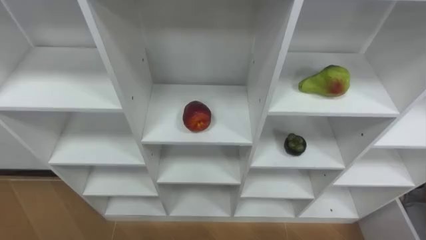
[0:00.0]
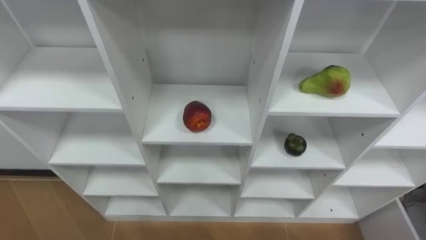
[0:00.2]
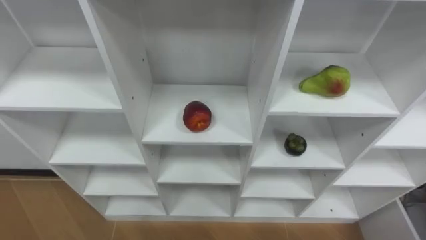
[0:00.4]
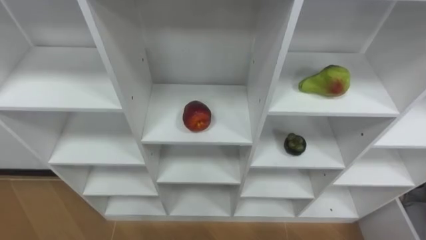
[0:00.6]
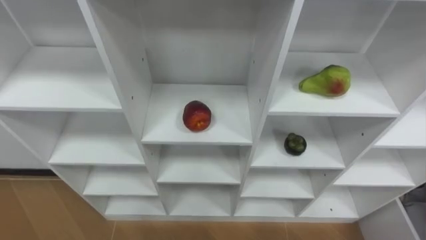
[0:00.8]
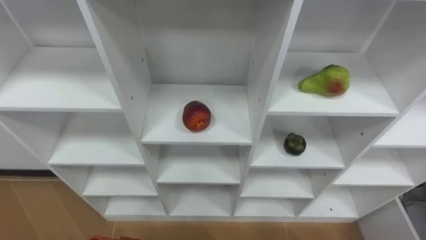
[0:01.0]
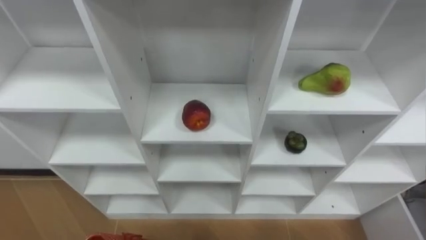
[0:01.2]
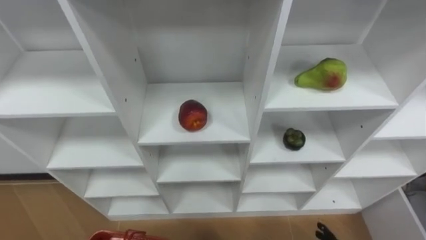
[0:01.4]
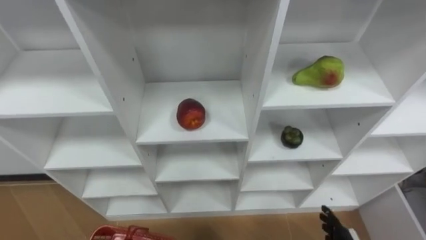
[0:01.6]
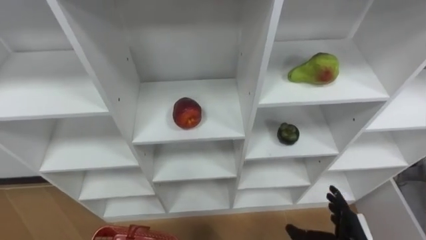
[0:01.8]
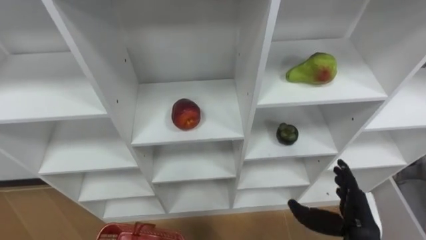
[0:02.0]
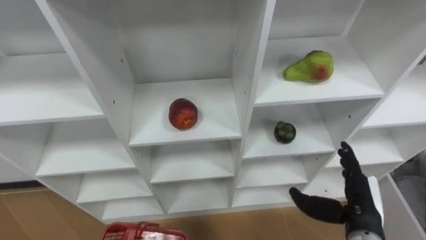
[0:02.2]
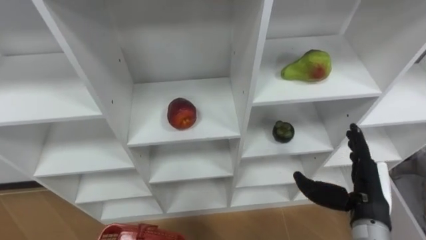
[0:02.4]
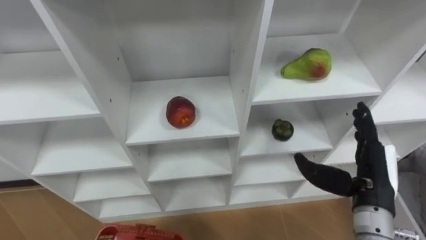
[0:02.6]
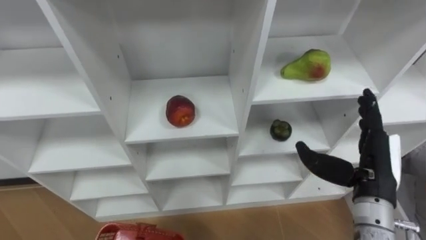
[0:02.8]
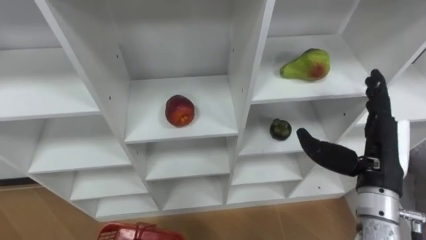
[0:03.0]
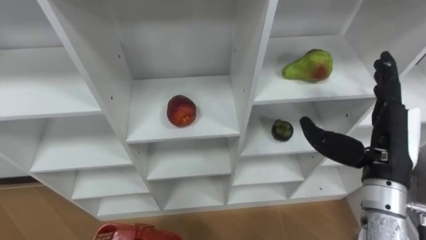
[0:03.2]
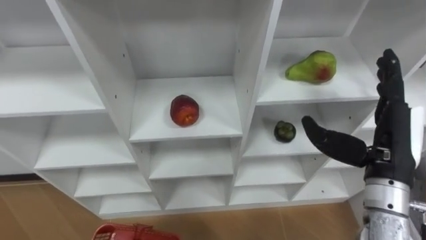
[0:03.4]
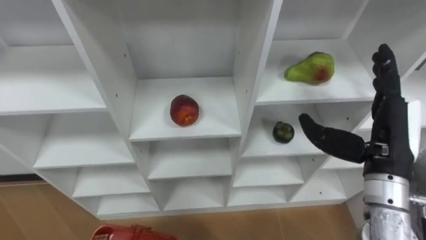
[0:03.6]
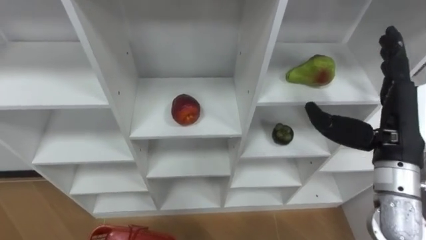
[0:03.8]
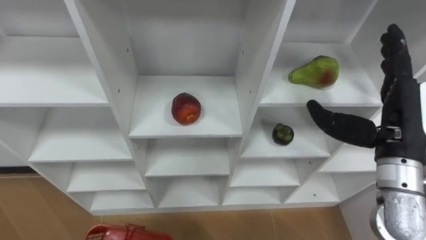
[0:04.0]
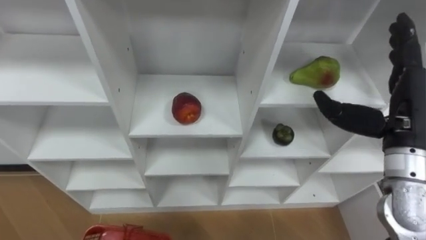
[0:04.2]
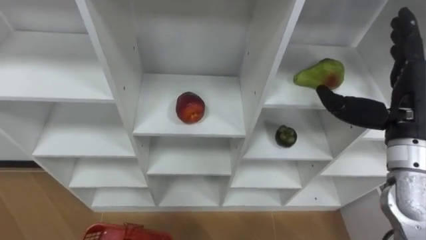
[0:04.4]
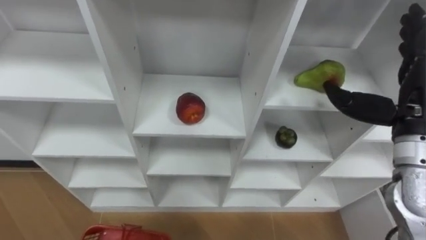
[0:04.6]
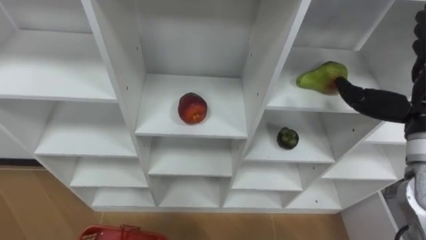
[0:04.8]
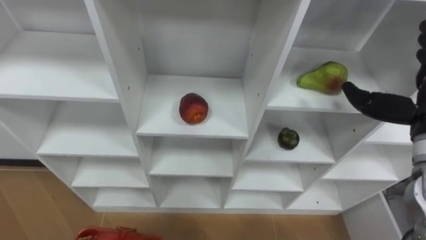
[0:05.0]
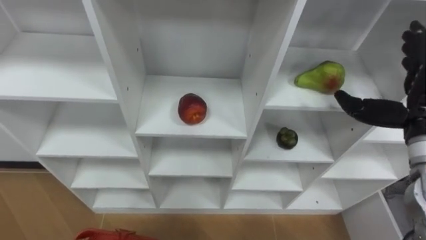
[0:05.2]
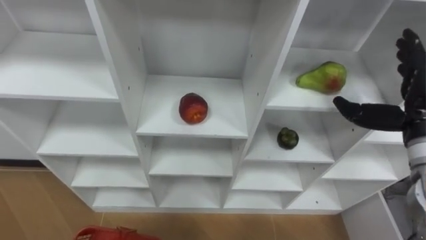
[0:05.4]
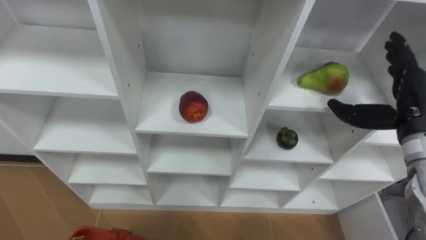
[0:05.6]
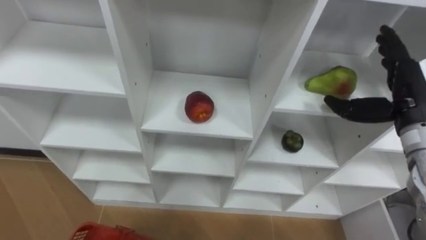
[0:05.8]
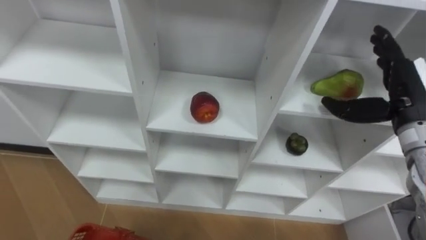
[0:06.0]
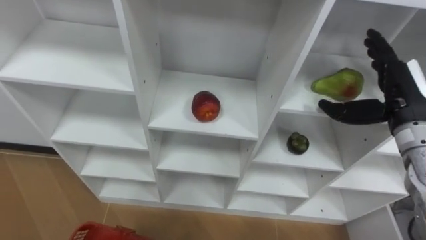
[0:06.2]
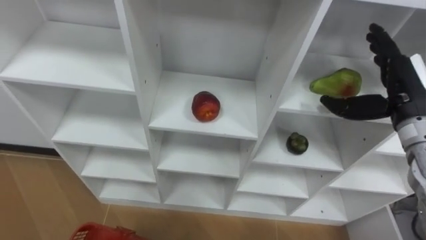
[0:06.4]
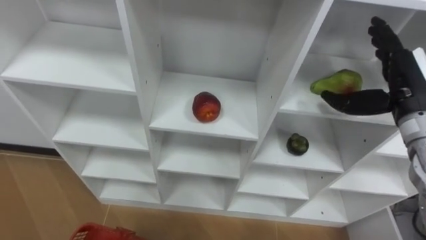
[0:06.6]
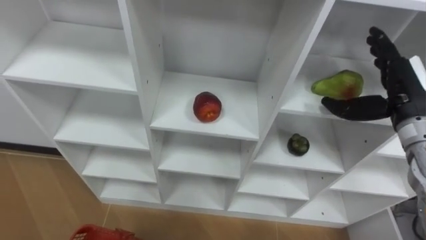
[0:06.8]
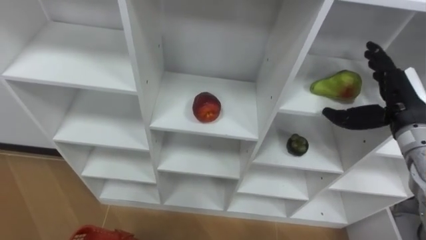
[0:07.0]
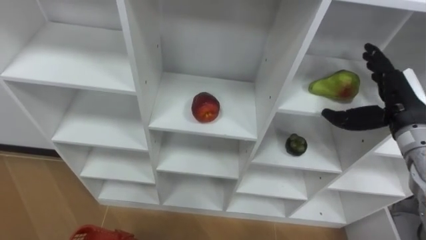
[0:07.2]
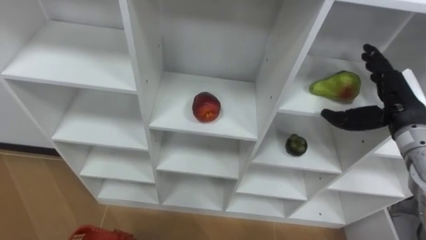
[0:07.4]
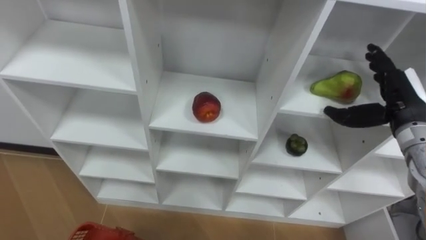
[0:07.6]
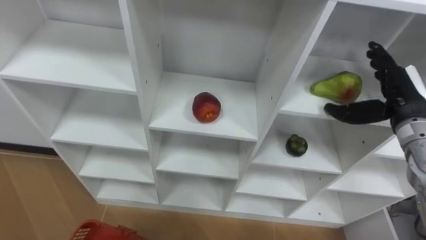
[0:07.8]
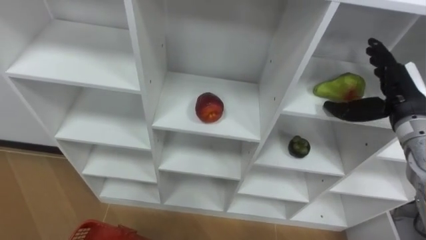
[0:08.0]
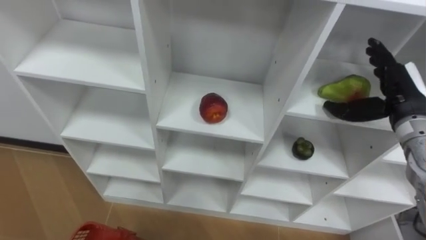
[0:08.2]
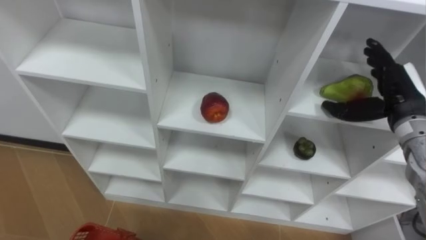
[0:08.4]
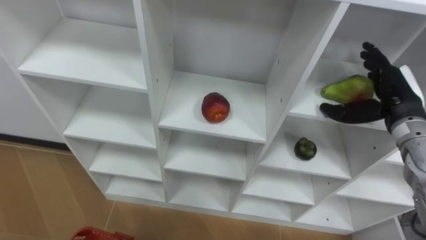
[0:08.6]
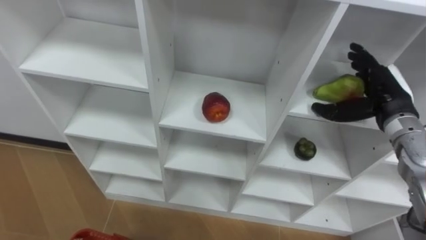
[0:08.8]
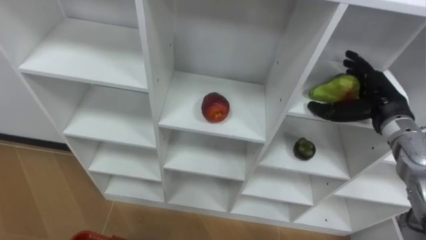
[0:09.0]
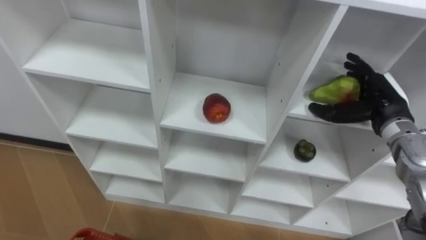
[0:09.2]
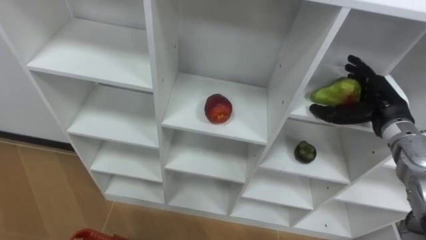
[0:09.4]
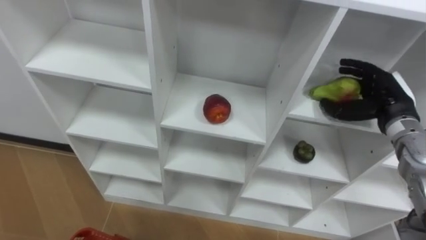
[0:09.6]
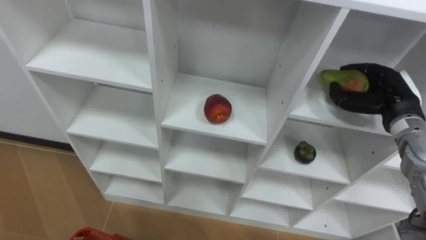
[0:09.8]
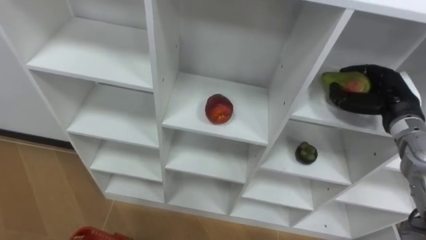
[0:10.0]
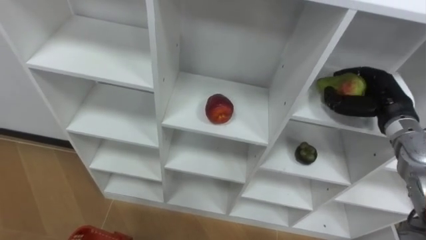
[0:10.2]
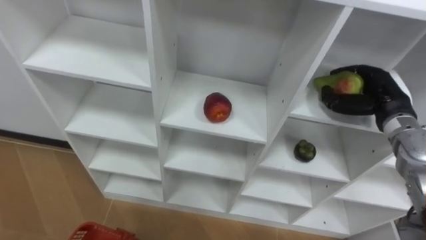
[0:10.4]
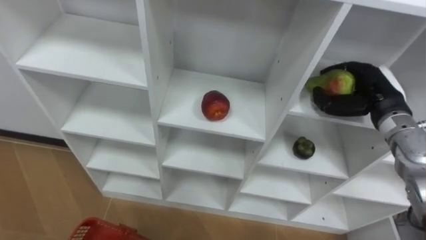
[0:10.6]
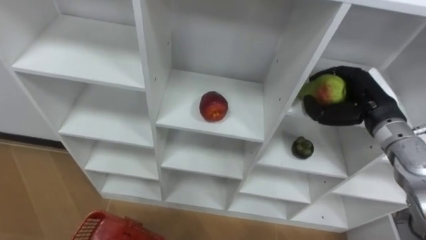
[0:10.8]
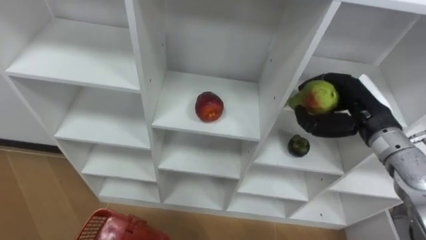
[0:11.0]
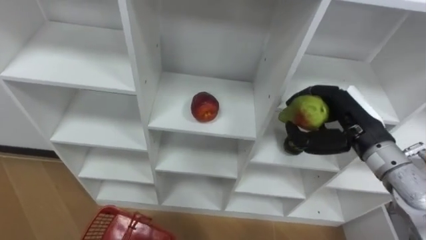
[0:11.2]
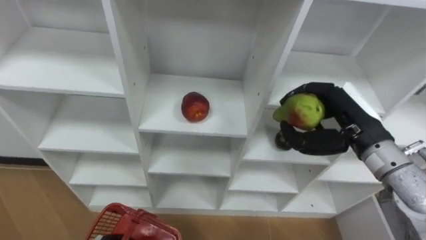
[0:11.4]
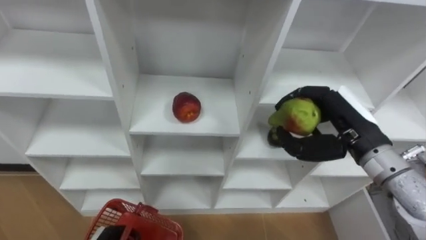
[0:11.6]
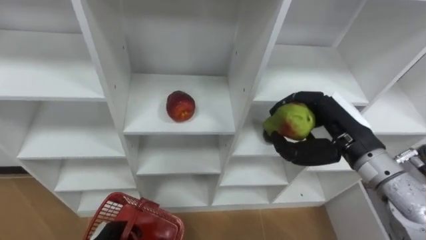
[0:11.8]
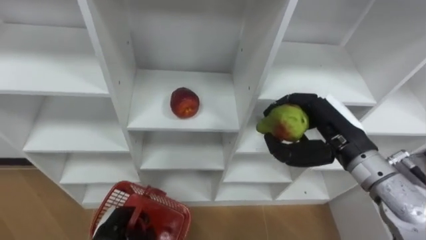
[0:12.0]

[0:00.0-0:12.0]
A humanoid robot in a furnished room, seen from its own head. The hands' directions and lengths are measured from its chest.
Task of the whole recording: Hold the basket and collect the fruits from 3 different cells of the closet into it.
0:03.0 to 0:04.4: The right hand is displaced upward by about 5 cm.
0:09.0 to 0:10.4: The right hand closes up.
0:10.4 to 0:12.0: The right hand is displaced to the left and backward by about 15 cm.

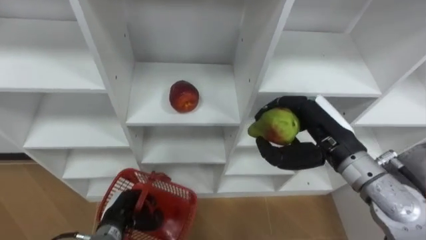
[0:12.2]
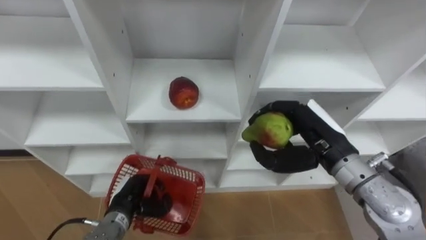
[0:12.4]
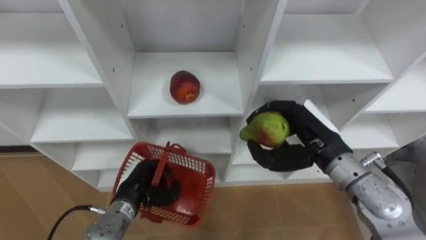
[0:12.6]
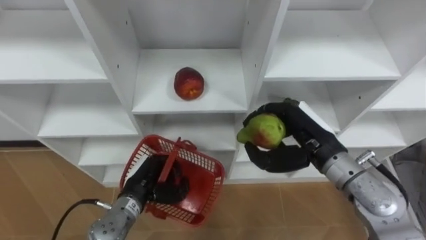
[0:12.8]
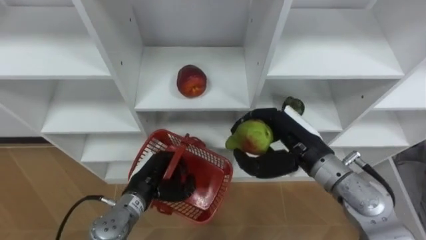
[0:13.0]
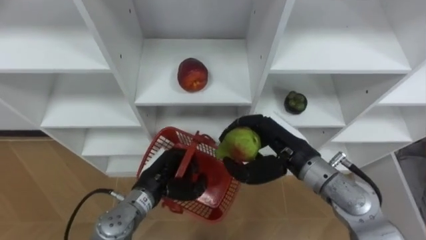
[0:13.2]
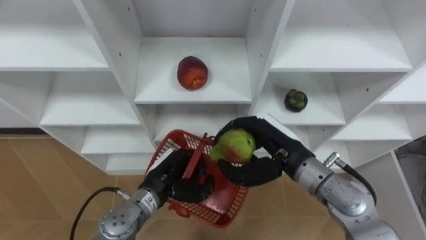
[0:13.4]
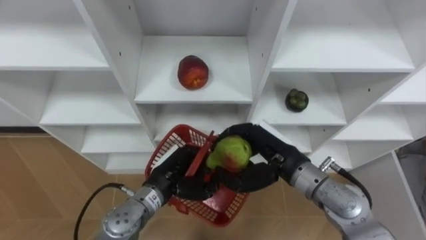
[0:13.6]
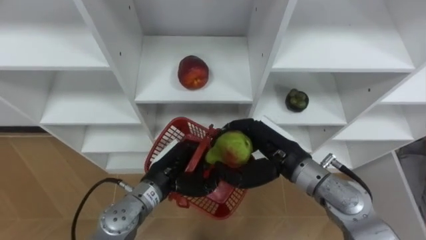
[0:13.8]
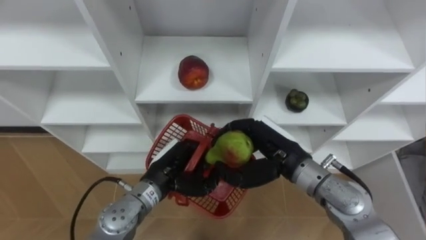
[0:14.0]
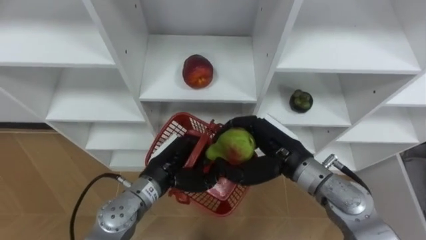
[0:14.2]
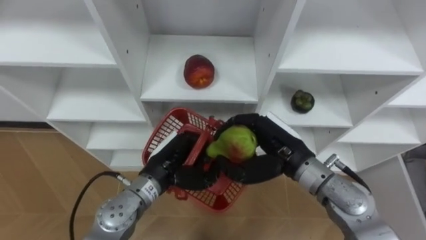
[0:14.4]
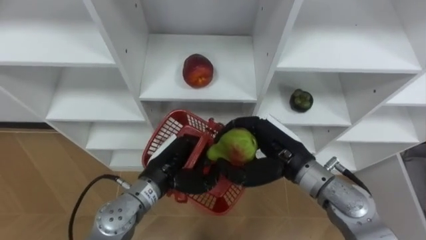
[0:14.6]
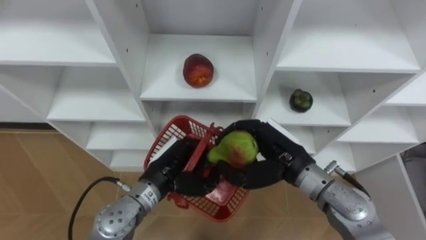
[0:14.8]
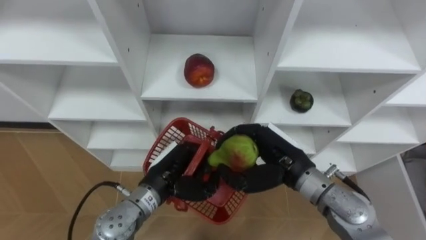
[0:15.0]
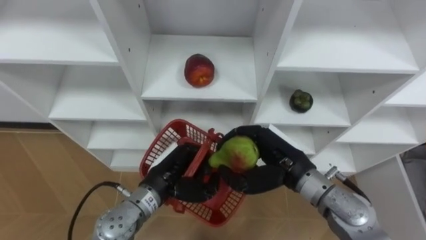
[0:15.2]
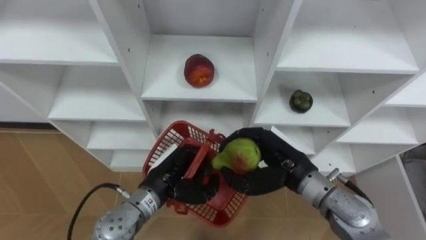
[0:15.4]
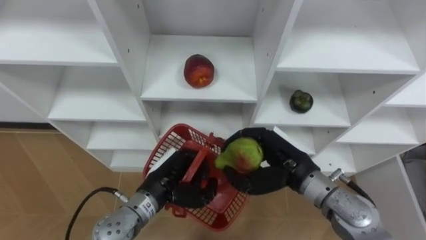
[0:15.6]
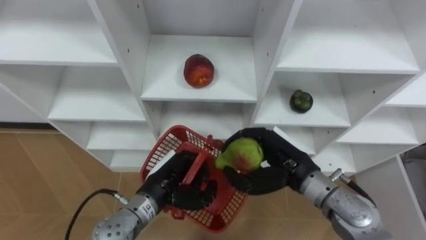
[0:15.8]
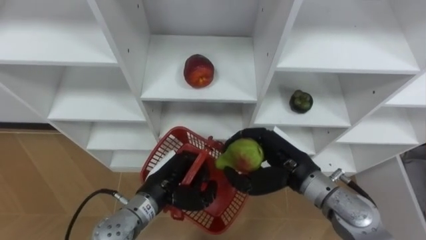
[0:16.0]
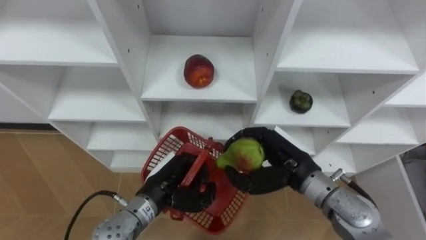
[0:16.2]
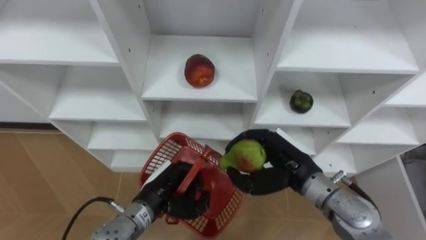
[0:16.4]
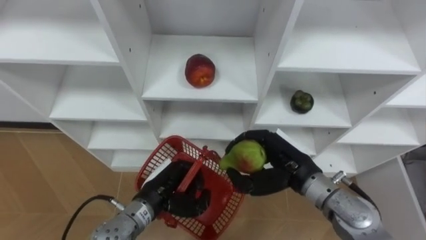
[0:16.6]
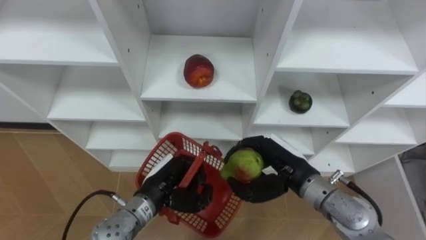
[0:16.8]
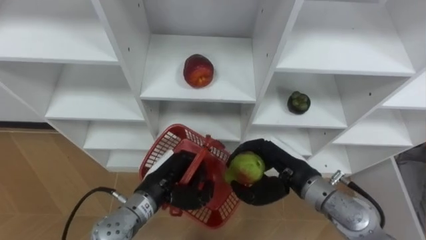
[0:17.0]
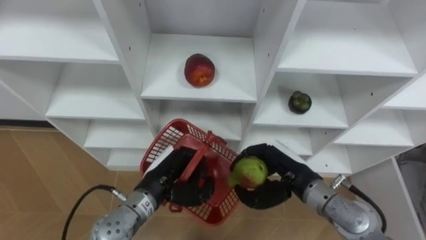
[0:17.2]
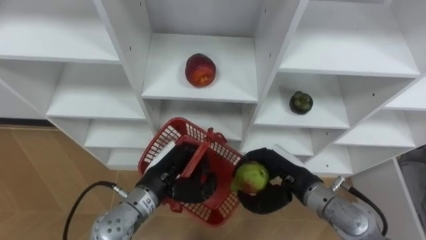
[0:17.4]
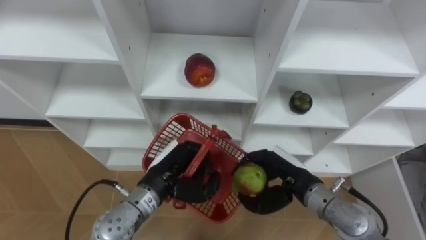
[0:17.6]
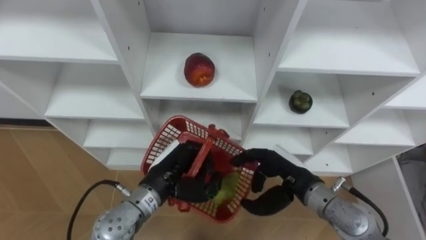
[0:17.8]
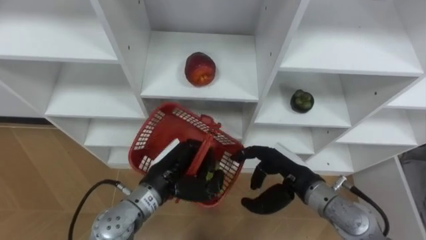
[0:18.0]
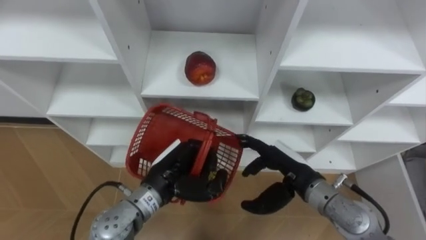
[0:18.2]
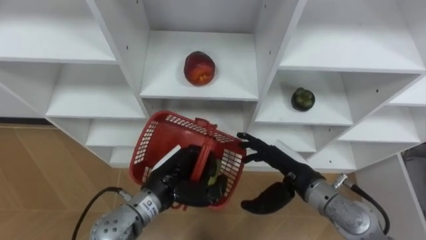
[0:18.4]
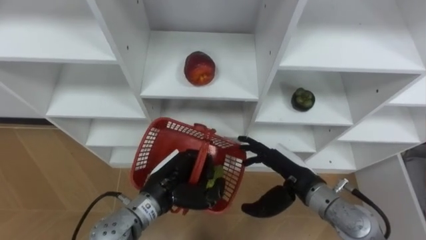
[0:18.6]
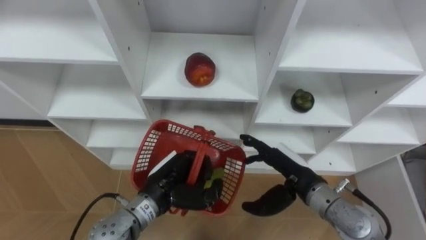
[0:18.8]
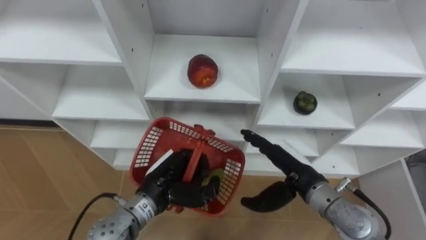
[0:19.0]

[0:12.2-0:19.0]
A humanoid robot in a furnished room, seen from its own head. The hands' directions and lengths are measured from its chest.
Task of the whole recording: Hold the basket and collect the fruits from 3 different cells of the closet into it.
0:12.2 to 0:13.6: The right hand travels to the left and downward by roughly 10 cm, while the left hand goes roughly 15 cm to the right, upward and forward.
0:13.6 to 0:16.2: There are only small adjustments of the hands.
0:16.2 to 0:17.6: The hands move only a little.
0:17.6 to 0:19.0: The right hand opens its fingers.
